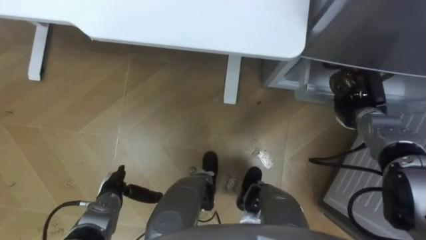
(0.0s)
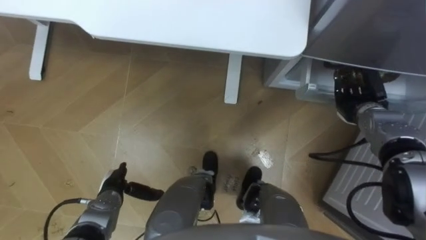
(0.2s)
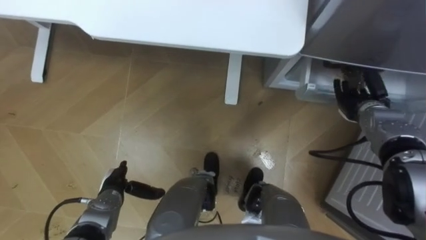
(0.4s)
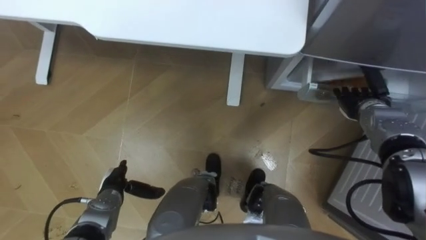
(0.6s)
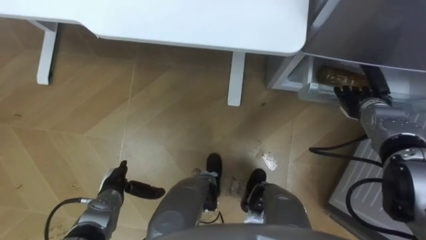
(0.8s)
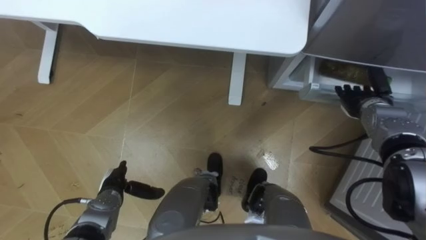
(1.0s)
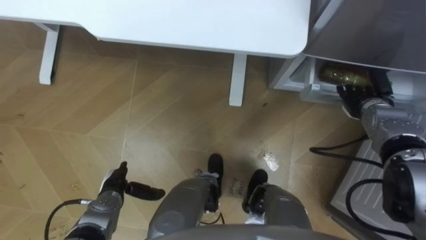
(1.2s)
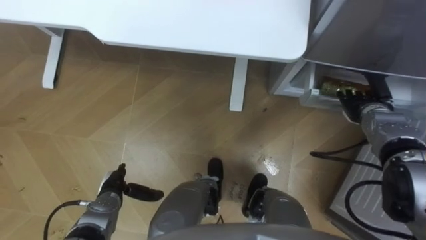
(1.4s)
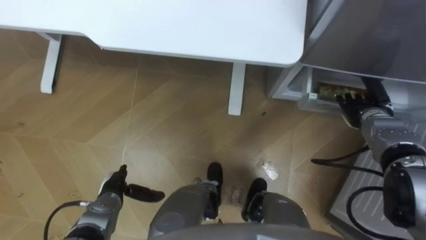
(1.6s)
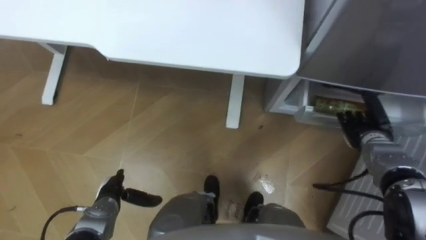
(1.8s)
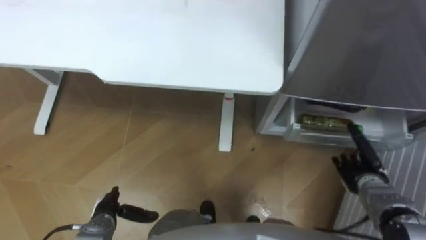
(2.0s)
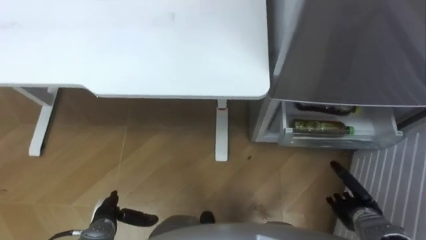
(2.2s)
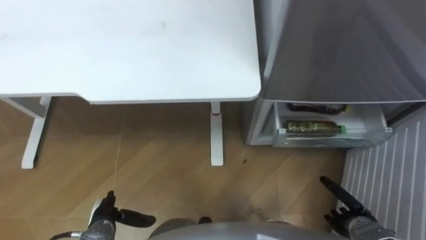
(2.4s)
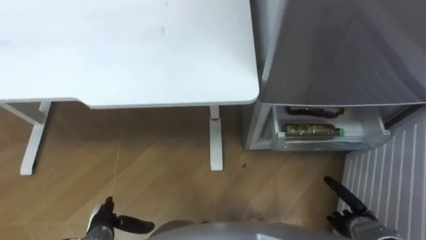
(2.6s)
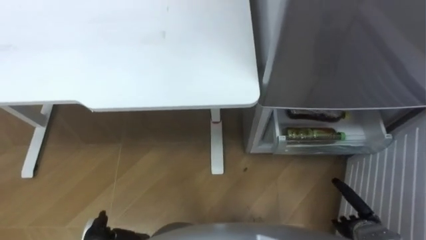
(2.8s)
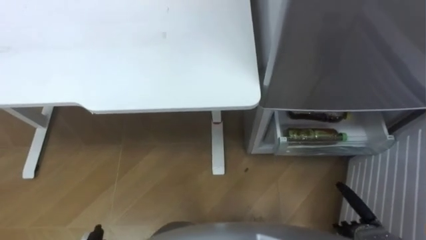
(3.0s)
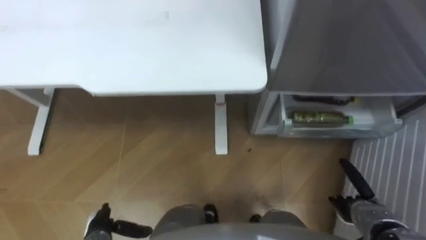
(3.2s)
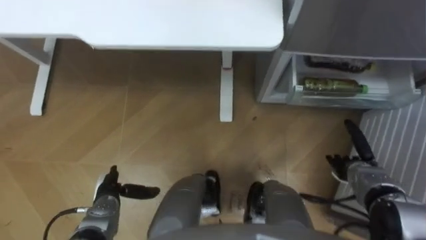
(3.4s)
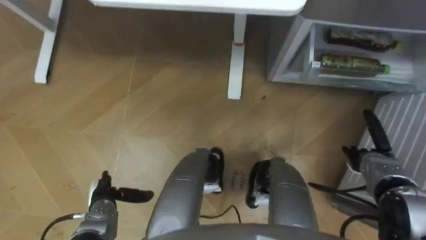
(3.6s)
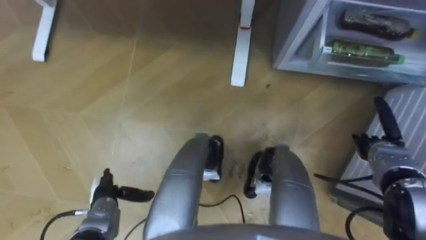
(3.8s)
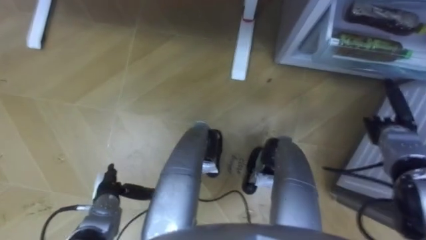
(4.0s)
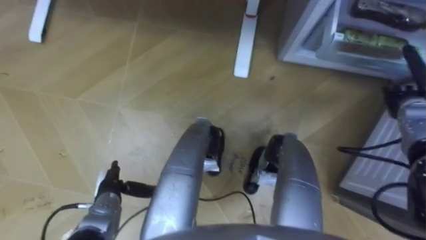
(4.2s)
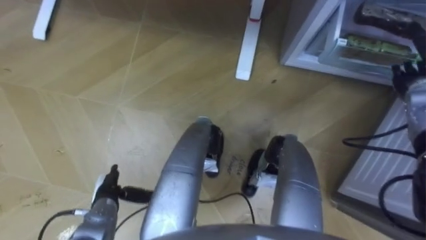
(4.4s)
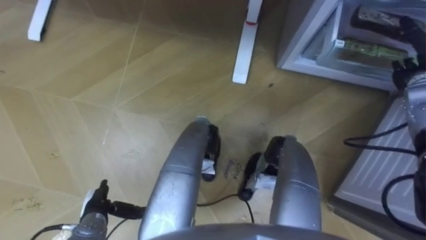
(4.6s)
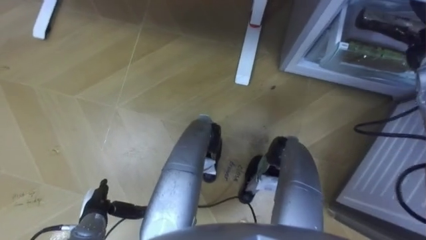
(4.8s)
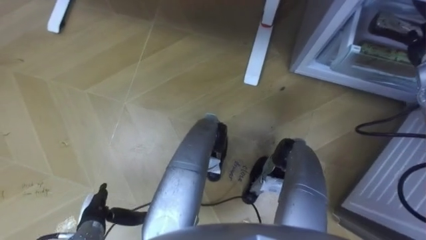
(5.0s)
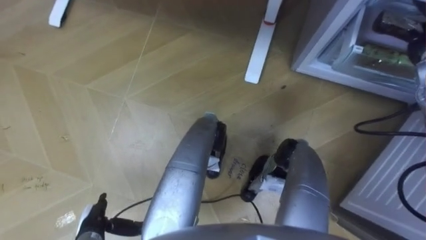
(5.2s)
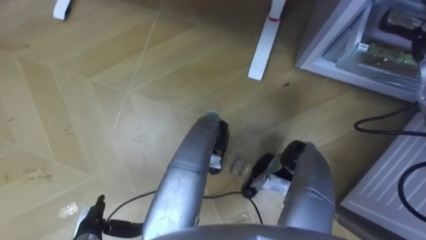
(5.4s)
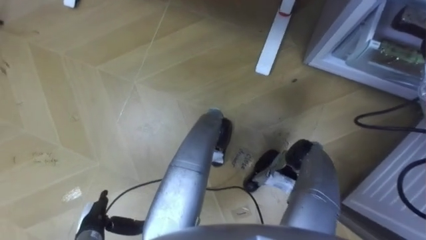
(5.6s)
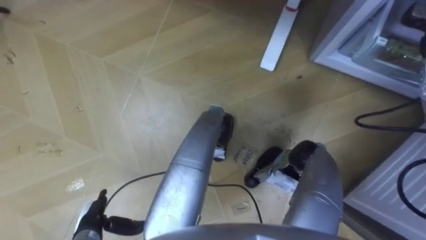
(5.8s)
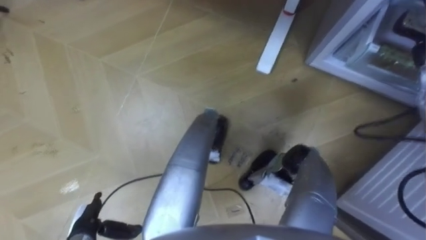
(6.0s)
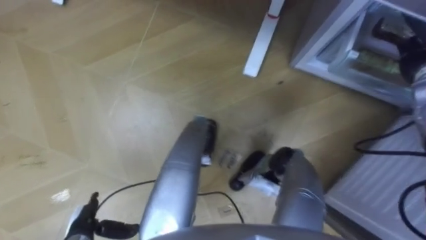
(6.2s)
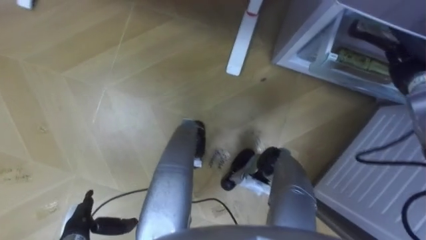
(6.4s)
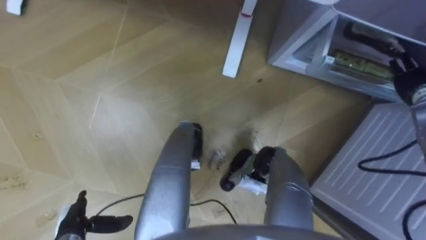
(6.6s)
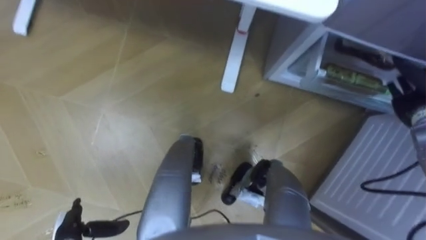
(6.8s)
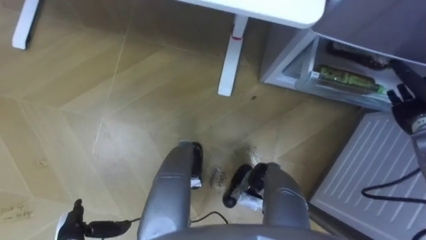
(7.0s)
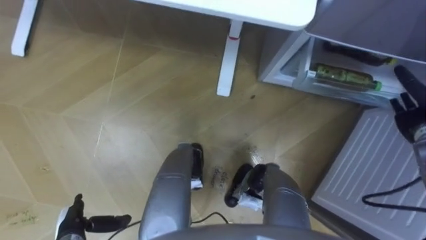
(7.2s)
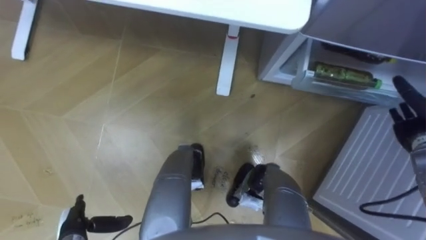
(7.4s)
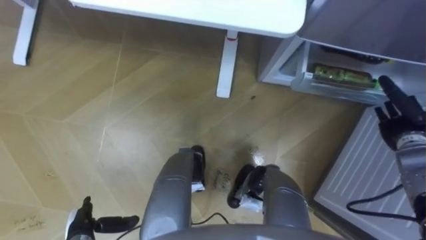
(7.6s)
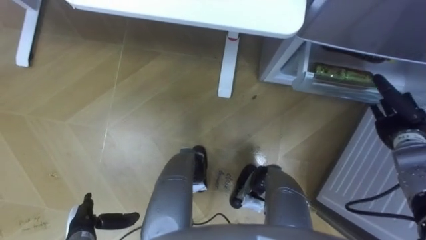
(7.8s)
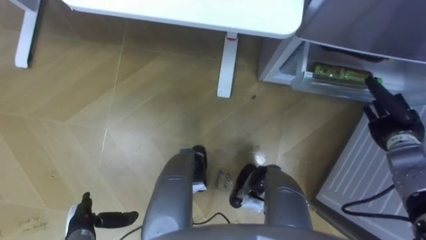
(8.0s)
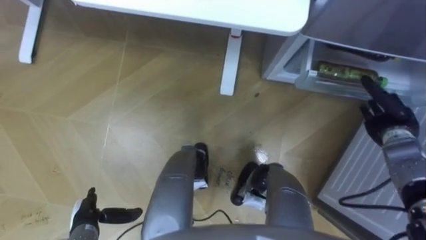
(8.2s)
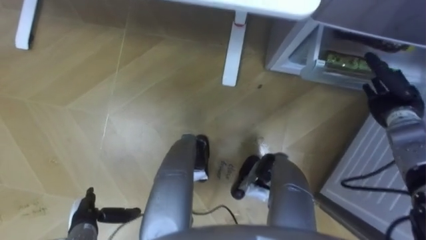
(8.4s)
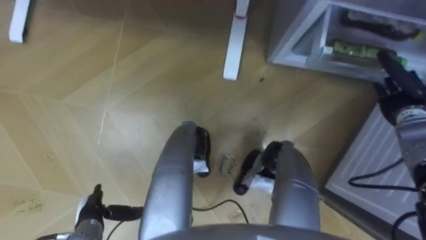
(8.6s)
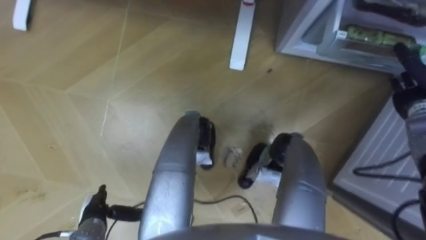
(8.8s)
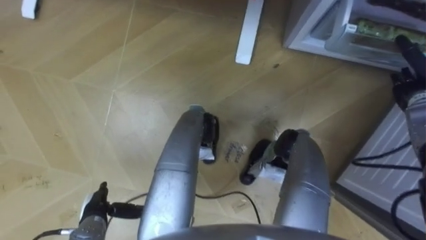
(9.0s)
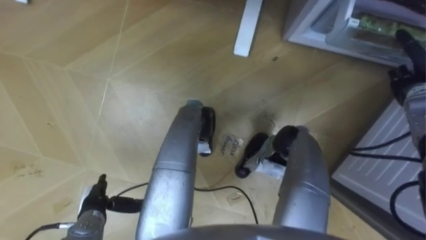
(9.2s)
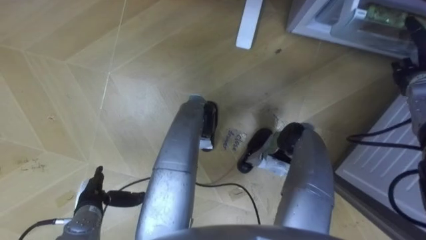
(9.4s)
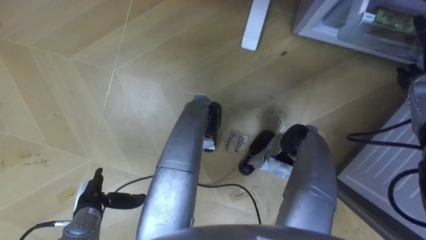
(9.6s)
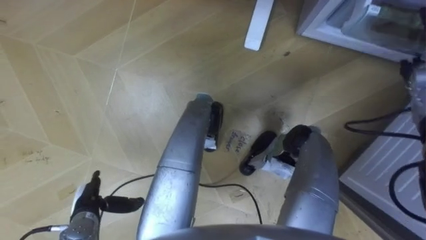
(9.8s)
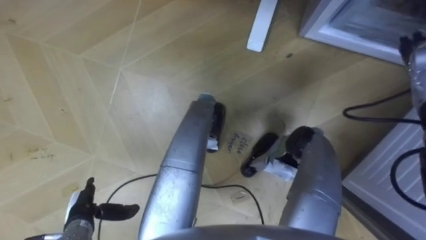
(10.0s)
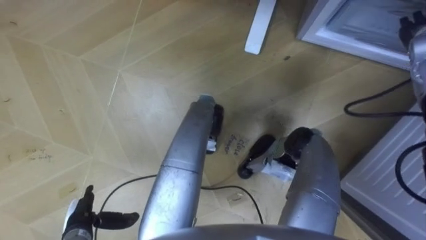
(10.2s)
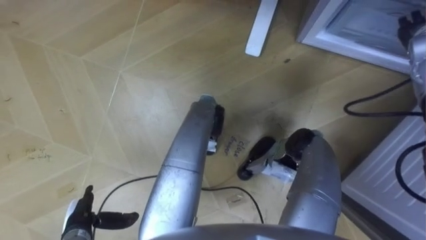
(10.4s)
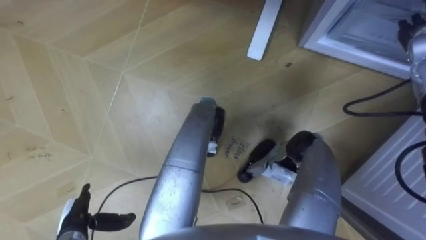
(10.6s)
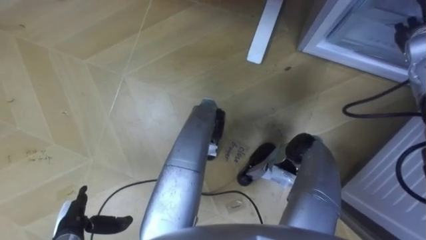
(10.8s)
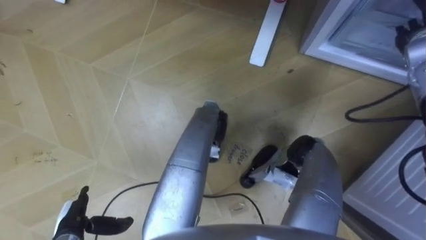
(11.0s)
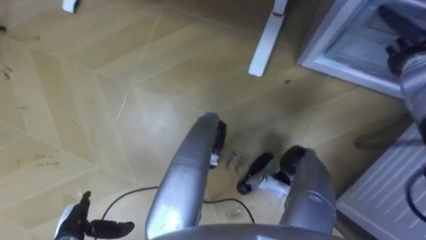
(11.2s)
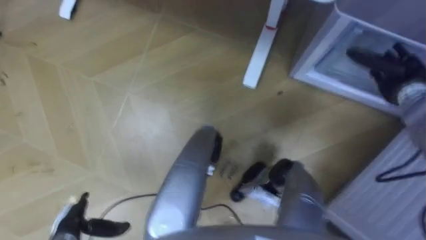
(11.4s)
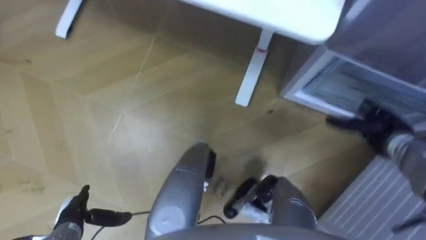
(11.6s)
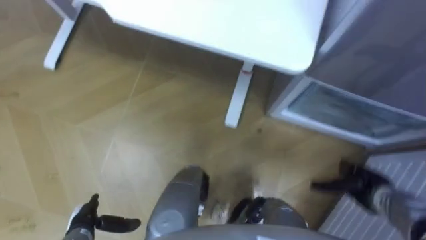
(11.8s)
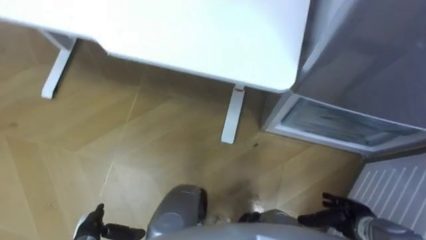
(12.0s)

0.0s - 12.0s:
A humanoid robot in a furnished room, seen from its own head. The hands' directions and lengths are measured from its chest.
Task of the whole recording: Place the drink on the table on the bottom shelf of the refrigerator, then close the drawer and the refrigerator door.
0.0s - 1.6s: The right hand opens up.
1.6s - 3.0s: The right hand shifts approximately 25 cm backward and downward.
3.0s - 4.4s: The right hand goes approximately 35 cm forward and upward.
4.4s - 6.0s: The left hand moves backward, approximately 5 cm.
7.6s - 9.0s: The right hand heads forward, covering about 5 cm.
9.0s - 10.4s: The right hand heads upward and forward, covering roughly 10 cm.
10.4s - 12.0s: The right hand shifts about 40 cm backward and downward.

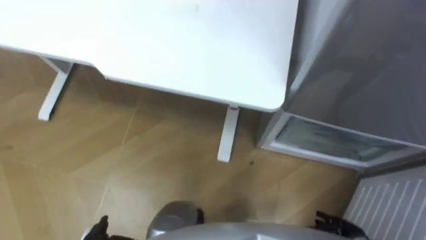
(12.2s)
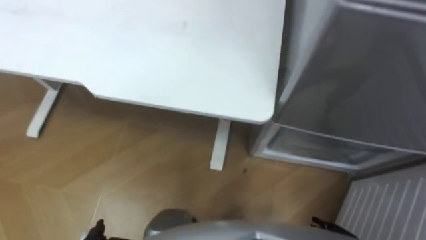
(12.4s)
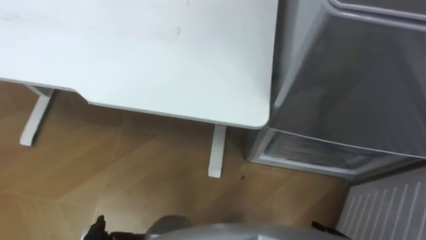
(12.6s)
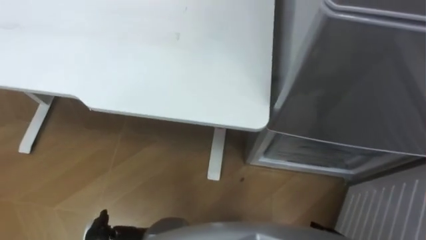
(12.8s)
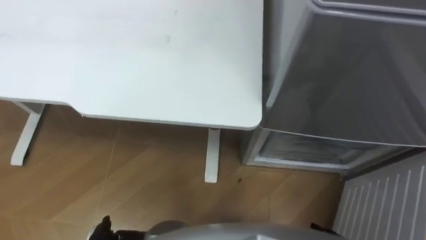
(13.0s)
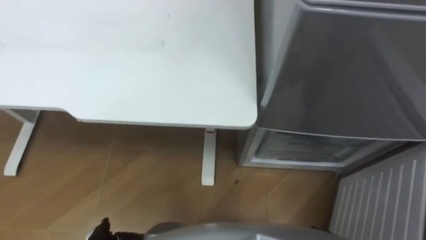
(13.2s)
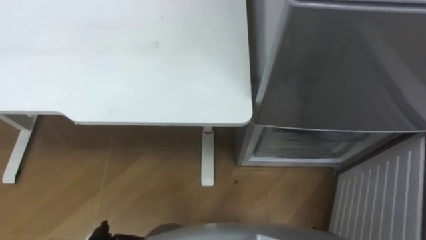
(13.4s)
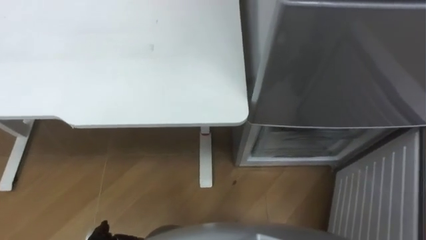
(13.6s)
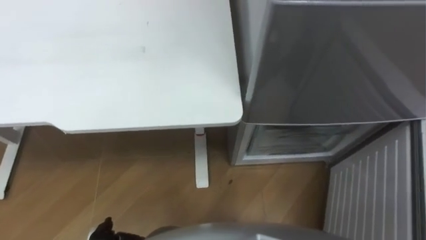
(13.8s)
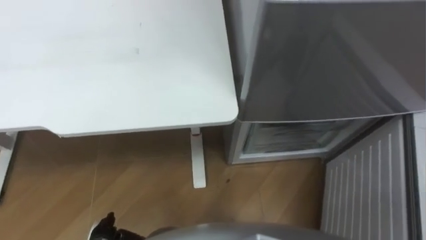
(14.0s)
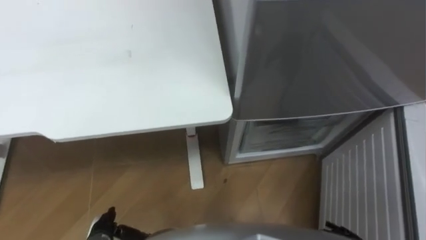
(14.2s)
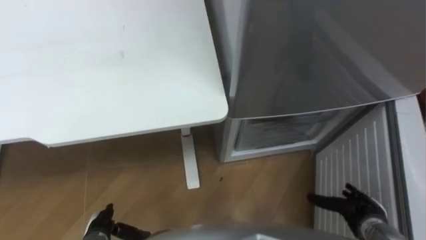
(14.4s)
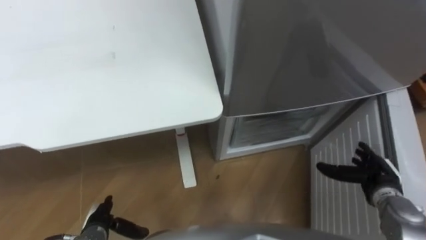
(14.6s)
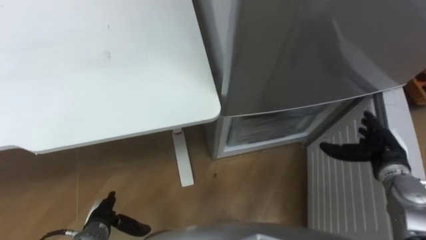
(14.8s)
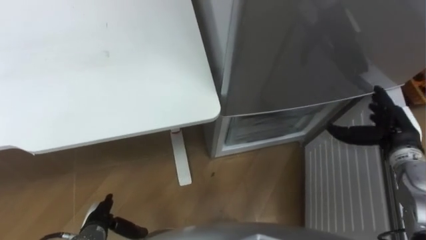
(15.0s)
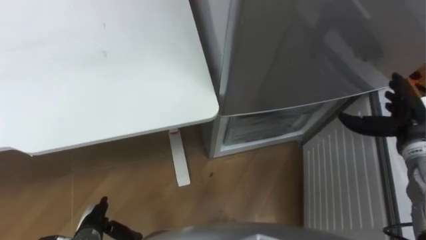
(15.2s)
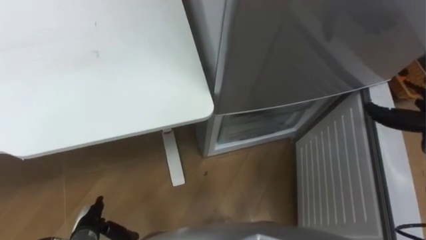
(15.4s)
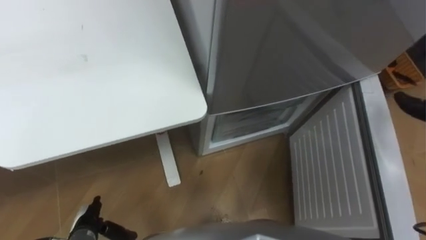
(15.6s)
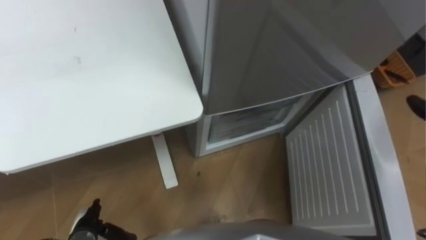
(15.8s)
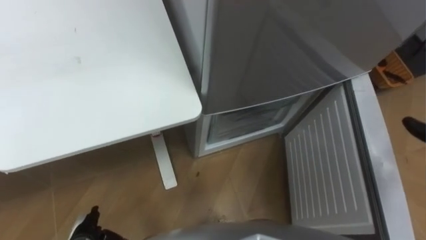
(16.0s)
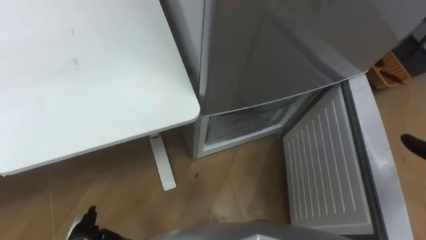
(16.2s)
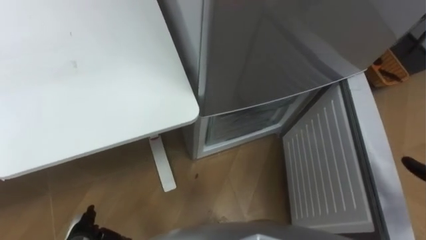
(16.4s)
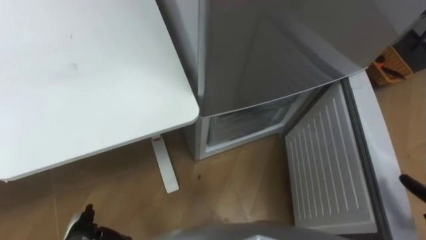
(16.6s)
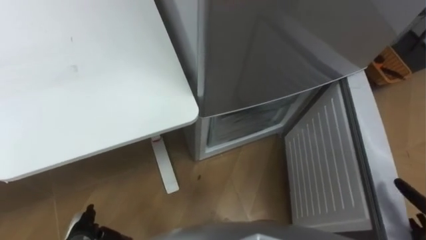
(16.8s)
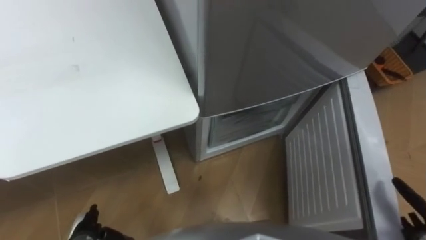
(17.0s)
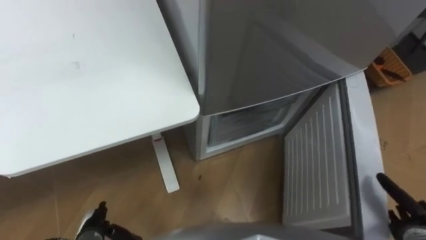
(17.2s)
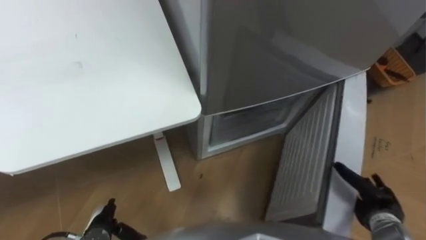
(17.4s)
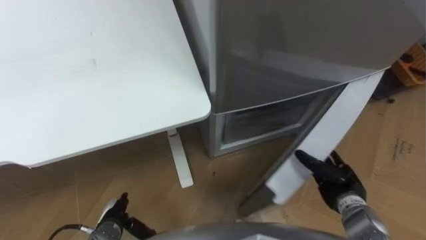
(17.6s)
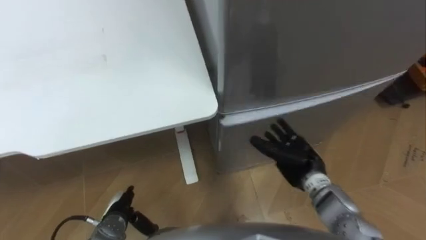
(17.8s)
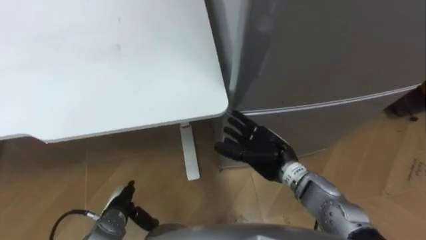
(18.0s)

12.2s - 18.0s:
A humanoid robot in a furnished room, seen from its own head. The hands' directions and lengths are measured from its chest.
Task of the whole recording: Place the drink on the table on the bottom shelf of the refrigerator, then close the drawer and the refrigerator door.
16.6s - 18.0s: The left hand shifts some 10 cm to the right and forward.
